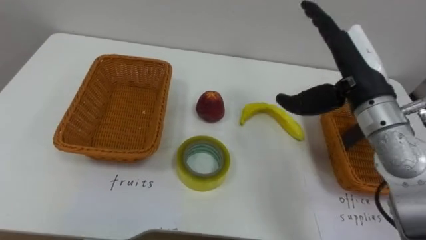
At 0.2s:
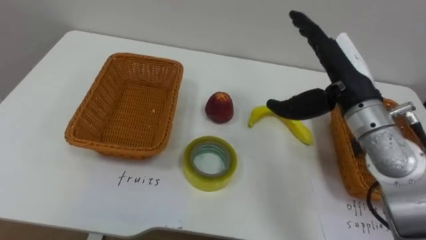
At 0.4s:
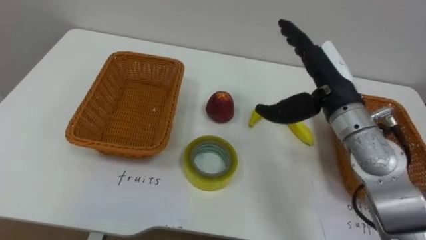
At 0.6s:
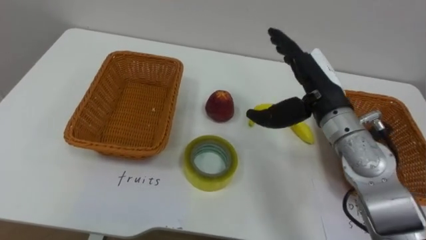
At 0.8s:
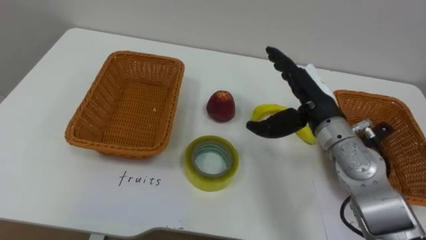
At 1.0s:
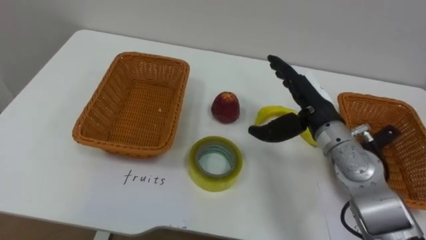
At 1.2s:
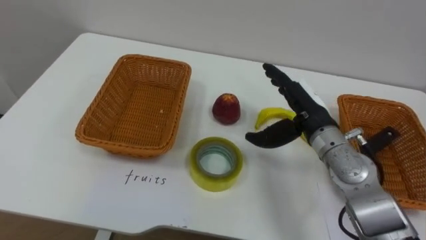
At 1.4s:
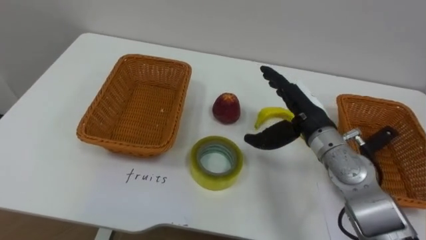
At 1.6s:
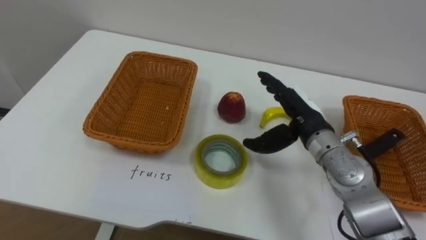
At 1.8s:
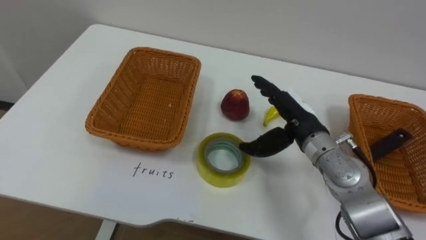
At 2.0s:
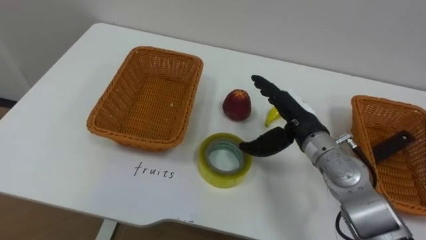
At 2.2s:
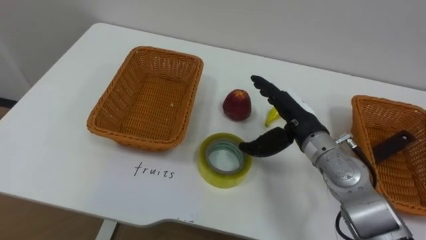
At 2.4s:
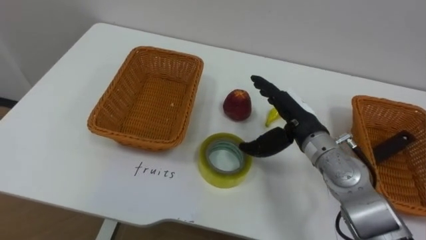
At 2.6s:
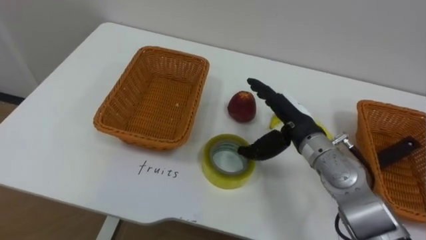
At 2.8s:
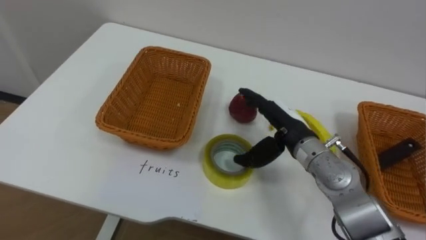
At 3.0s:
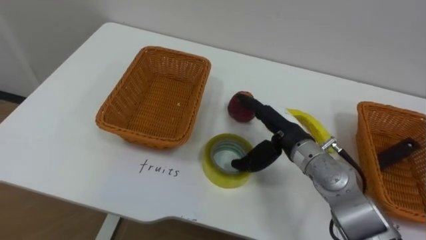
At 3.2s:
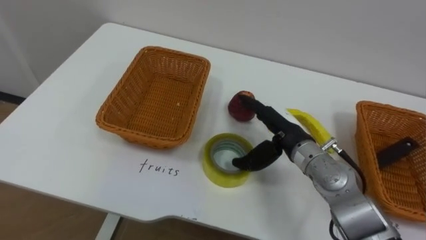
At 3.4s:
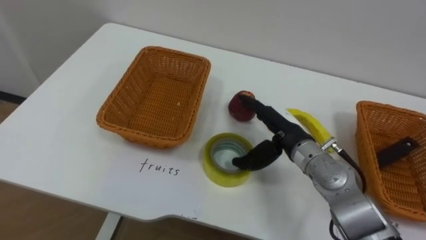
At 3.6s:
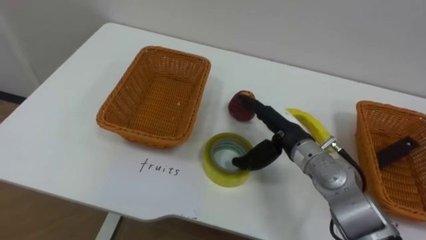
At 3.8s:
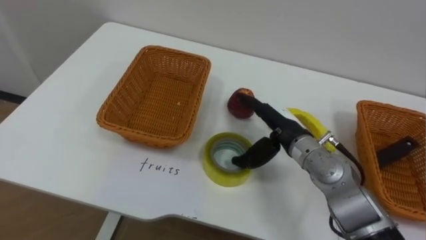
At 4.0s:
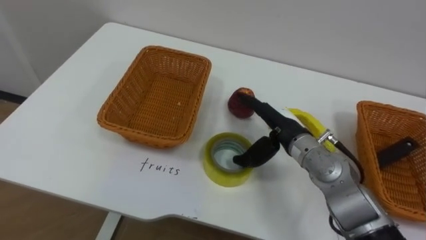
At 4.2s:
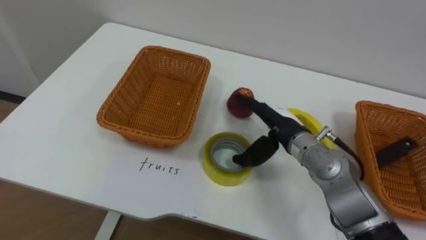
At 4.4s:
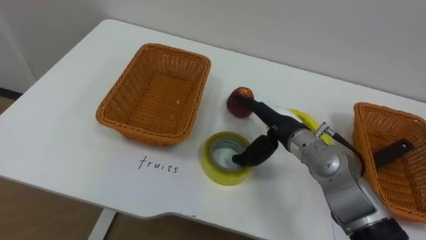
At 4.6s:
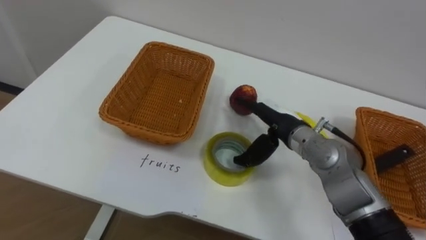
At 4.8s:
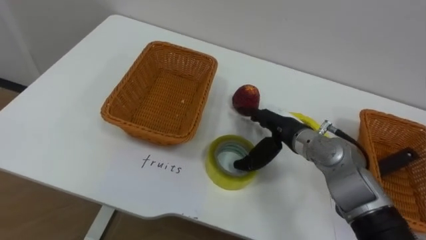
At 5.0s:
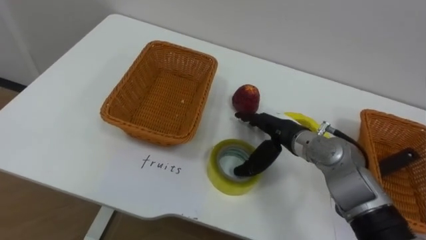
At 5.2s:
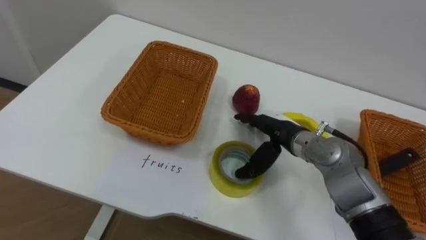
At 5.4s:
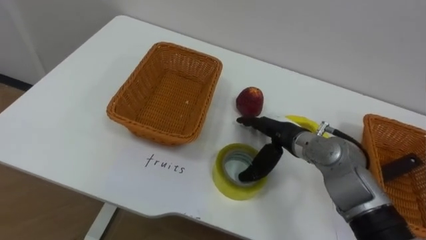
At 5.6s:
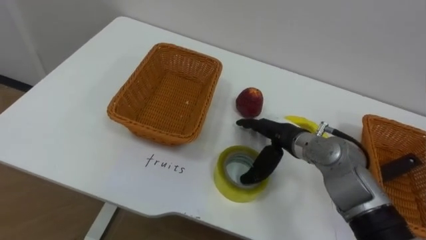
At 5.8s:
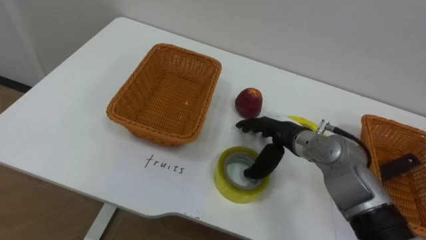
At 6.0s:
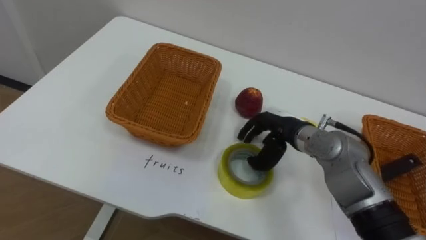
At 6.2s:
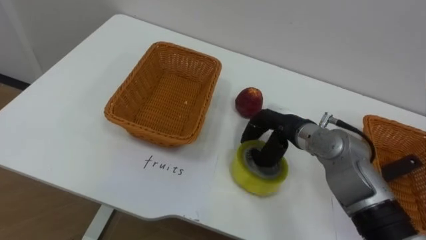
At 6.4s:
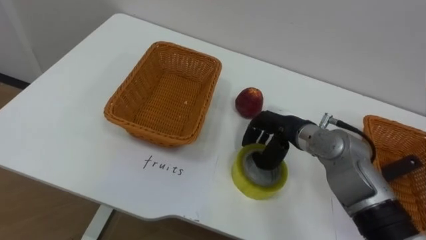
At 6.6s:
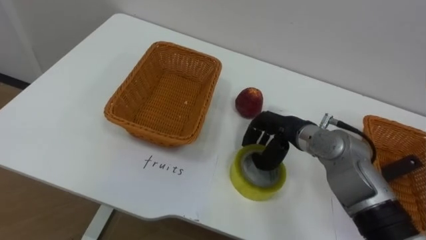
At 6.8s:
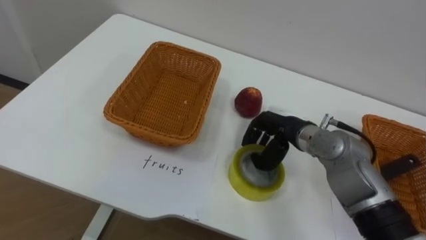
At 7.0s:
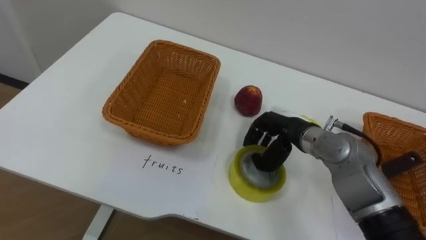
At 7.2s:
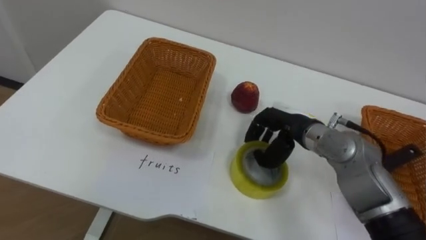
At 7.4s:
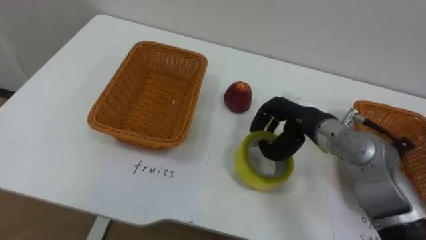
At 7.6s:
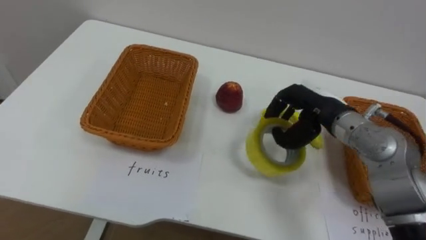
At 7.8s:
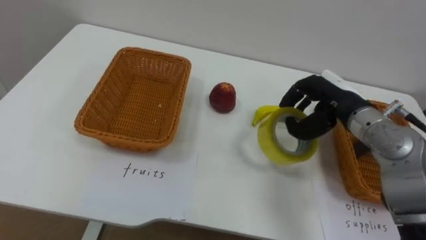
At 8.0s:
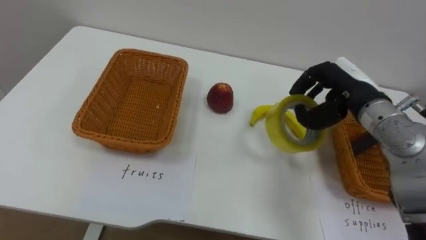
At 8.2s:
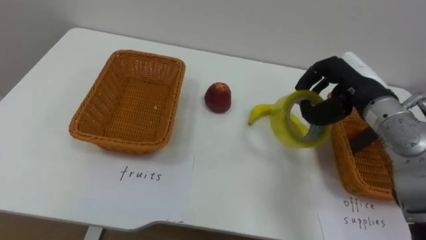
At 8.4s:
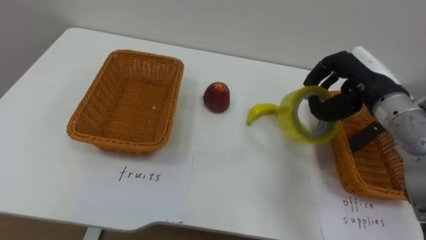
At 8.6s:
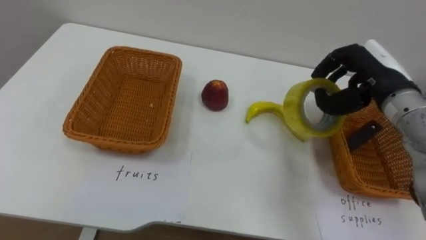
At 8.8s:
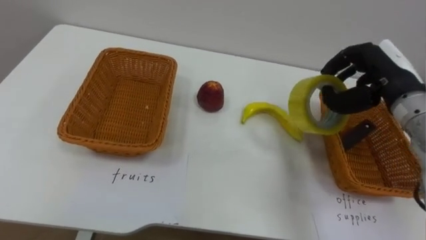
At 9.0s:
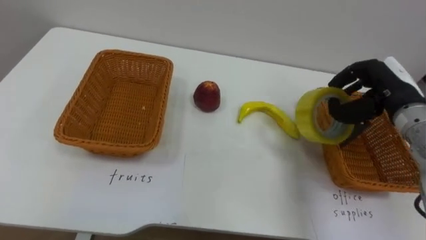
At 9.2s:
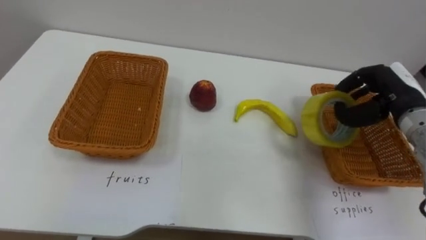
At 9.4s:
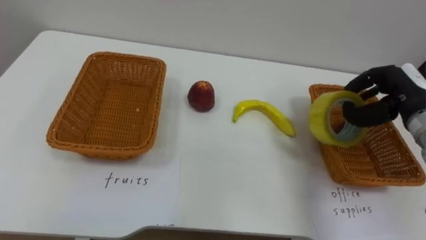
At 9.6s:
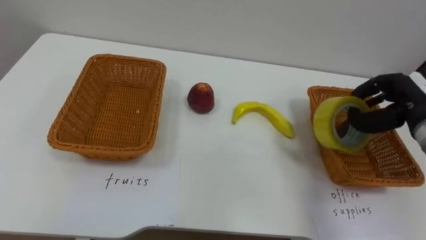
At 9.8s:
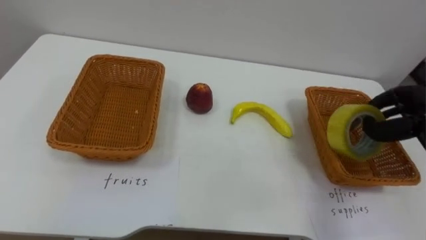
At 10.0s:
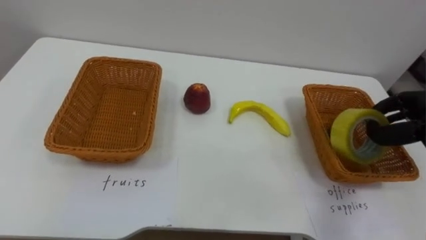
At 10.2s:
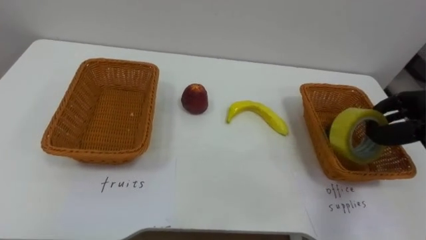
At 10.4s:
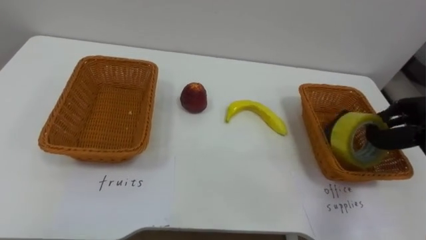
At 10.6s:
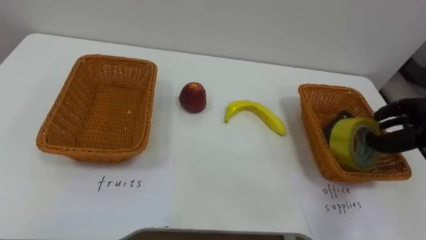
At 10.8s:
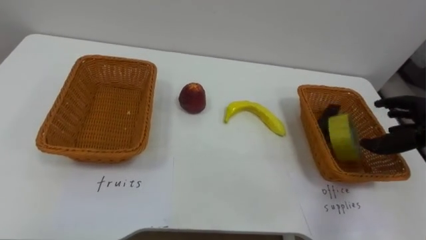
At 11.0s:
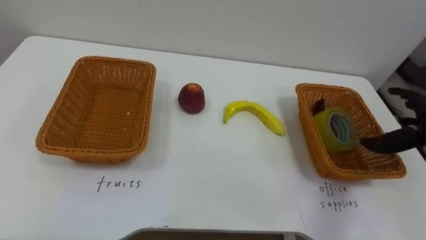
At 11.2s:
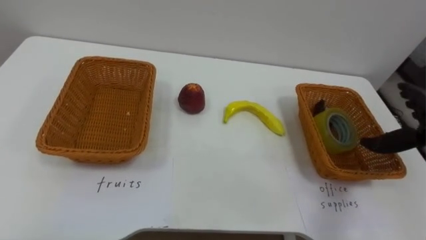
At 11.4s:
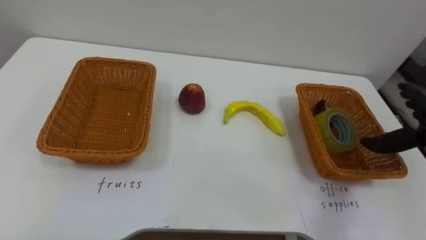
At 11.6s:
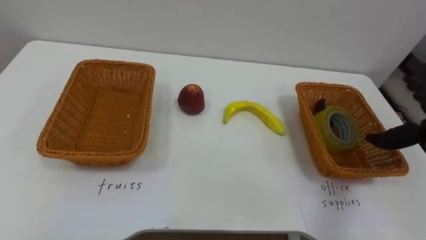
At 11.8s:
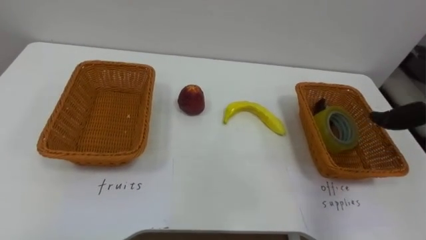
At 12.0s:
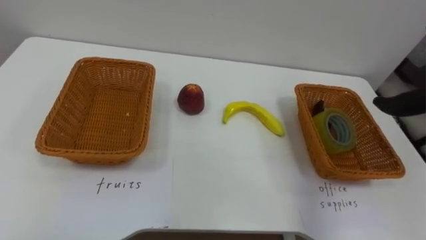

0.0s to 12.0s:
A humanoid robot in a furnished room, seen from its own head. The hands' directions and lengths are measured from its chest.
Task of the whole recording: Separate the items on the table and place them into the two baskets.
0.0s to 1.6s: The right hand moves downward, roughly 10 cm.
4.4s to 6.0s: The right hand closes up.
6.0s to 7.6s: The right hand shifts approximately 5 cm upward.
7.6s to 9.0s: The right hand goes some 10 cm to the right.

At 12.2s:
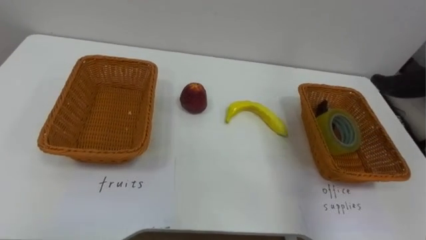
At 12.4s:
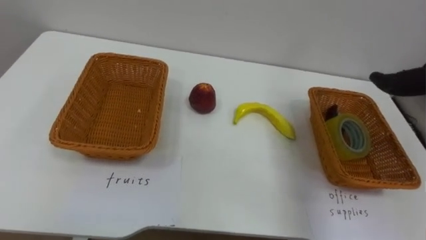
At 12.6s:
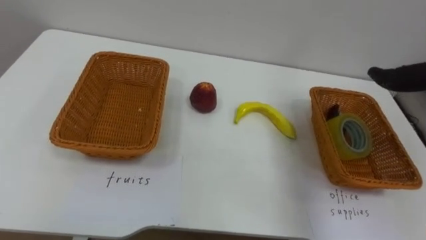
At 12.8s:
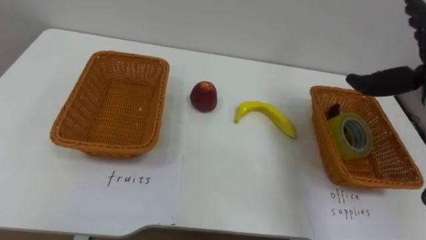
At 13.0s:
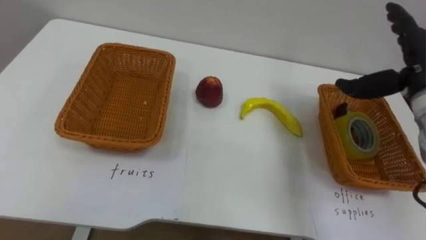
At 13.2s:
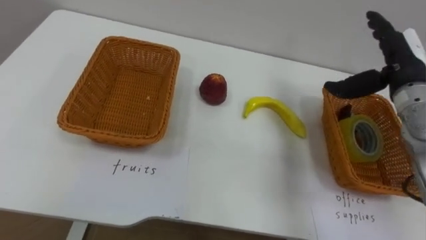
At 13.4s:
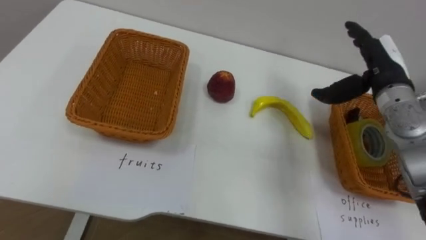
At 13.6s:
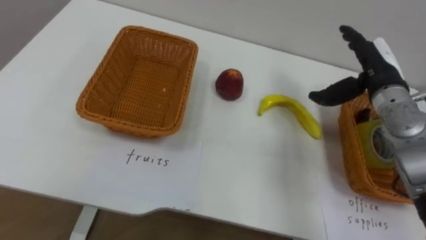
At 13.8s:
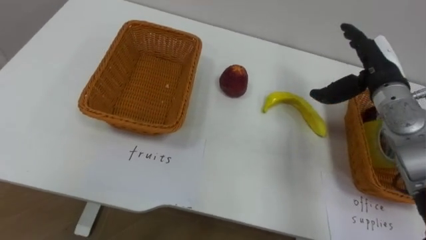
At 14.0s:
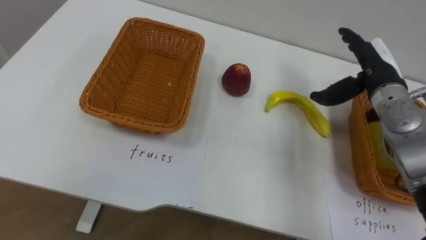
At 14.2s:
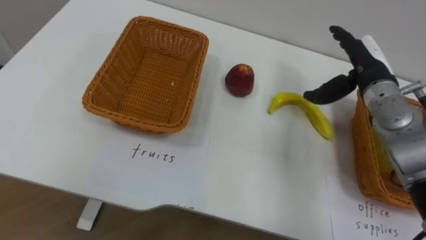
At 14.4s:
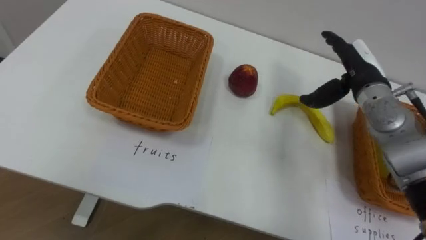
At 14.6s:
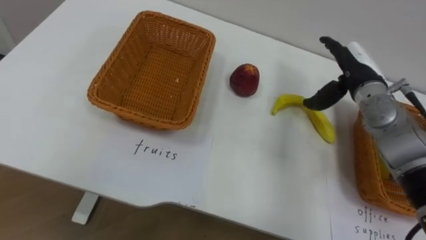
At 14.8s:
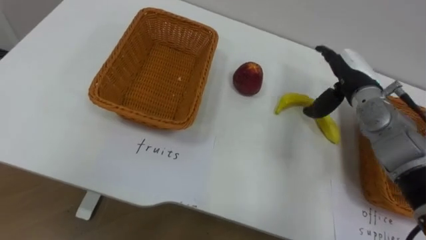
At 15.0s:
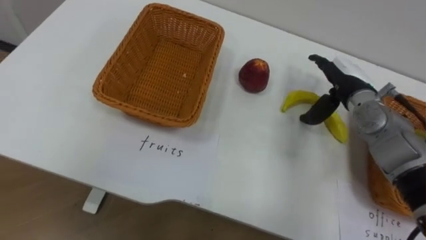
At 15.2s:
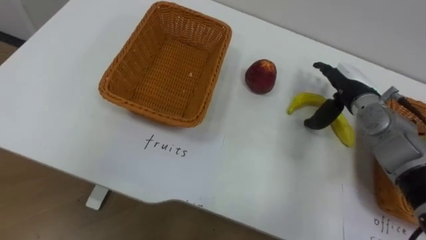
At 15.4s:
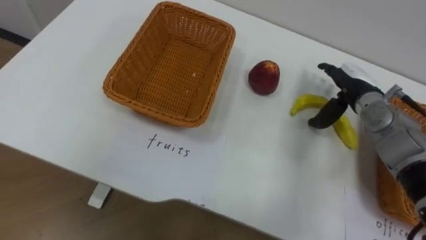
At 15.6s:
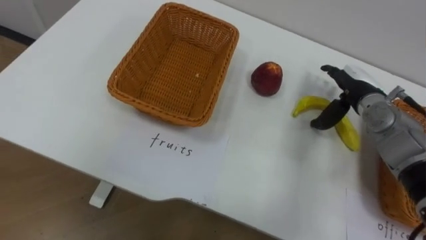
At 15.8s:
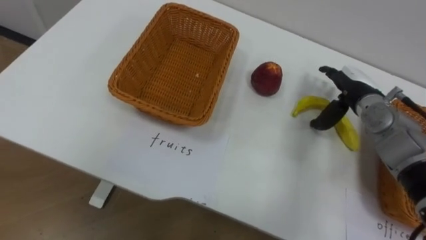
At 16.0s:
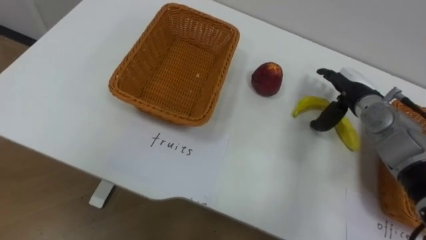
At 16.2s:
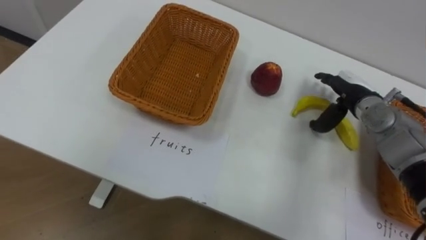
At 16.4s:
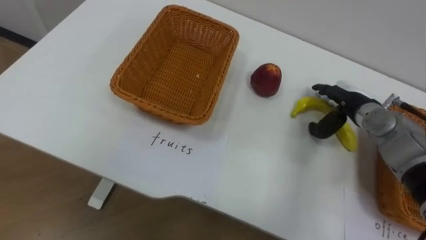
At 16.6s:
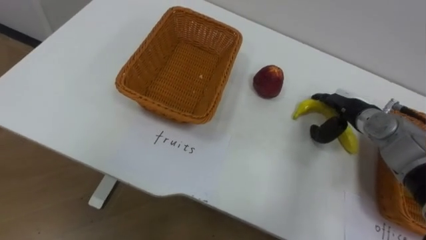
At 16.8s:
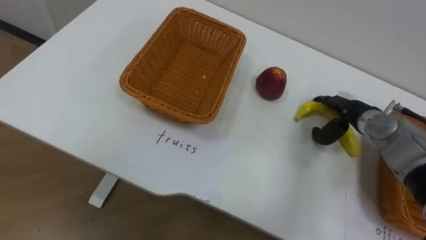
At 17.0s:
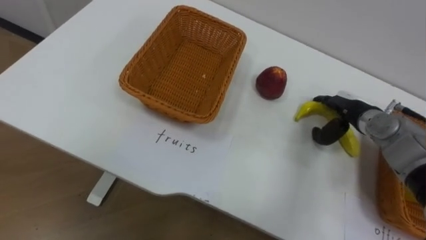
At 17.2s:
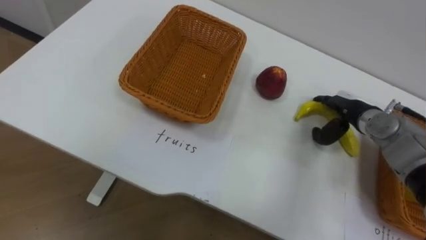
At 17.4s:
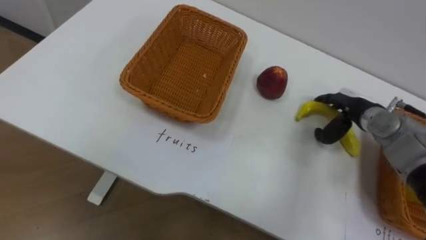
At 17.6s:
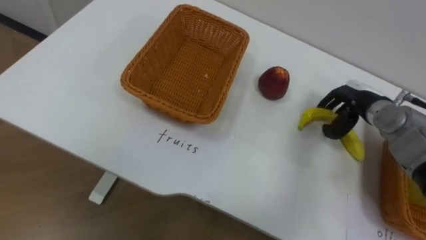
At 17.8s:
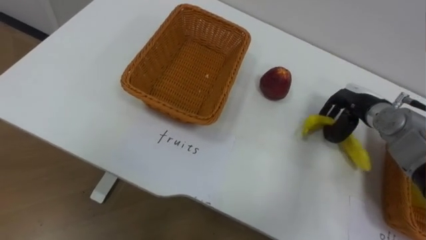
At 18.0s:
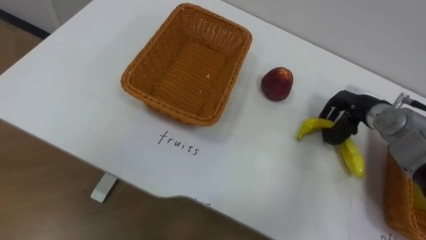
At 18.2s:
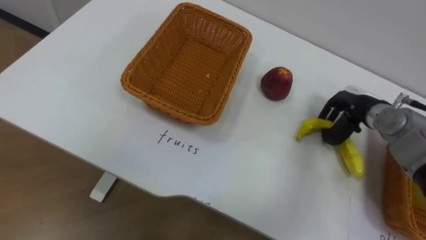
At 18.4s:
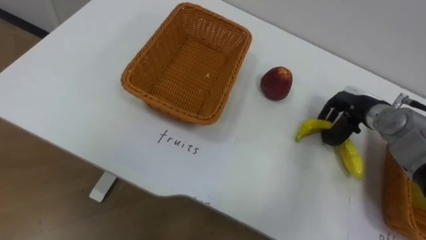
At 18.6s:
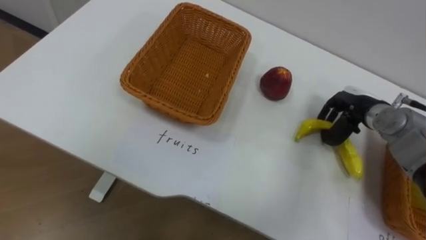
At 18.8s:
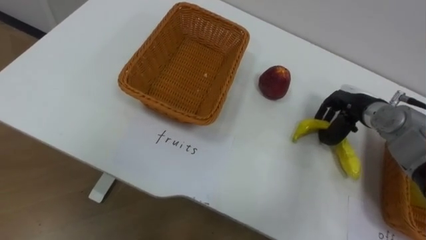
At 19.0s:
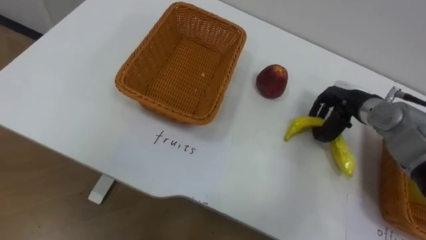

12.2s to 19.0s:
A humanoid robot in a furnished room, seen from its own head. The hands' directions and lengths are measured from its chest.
Task of the whole recording: Separate the items on the table and place them into the two baskets.
13.6s to 15.0s: The right hand shifts by roughly 5 cm.
16.2s to 17.6s: The right hand closes up.
17.6s to 19.0s: The right hand closes up.
